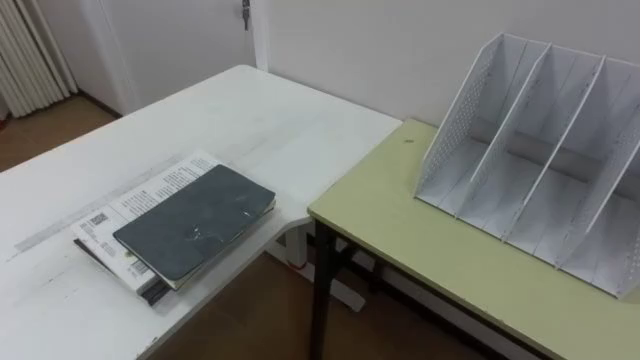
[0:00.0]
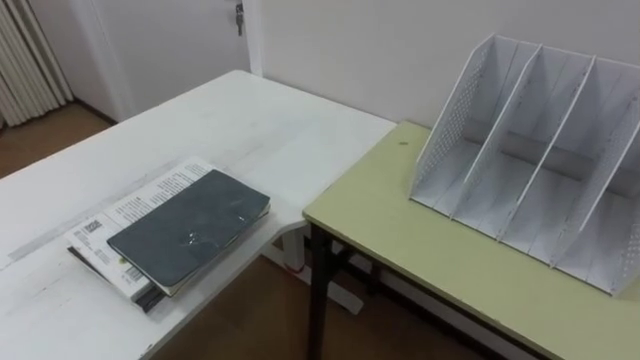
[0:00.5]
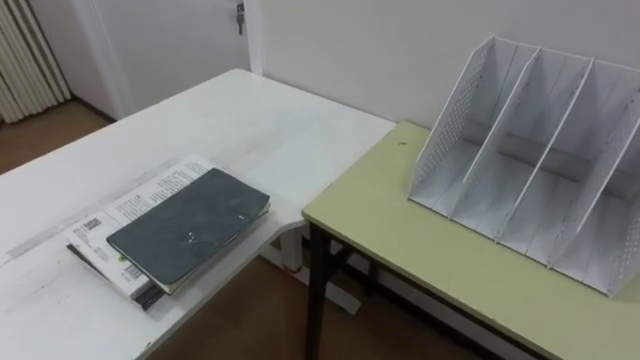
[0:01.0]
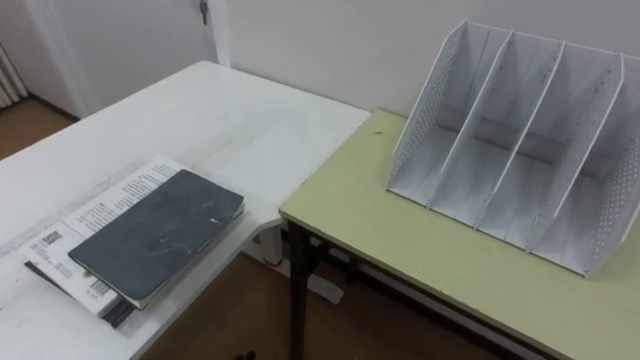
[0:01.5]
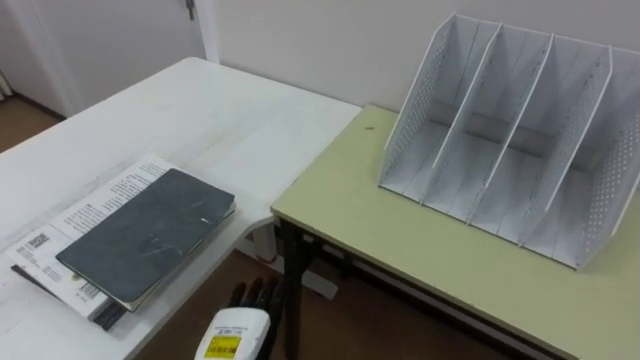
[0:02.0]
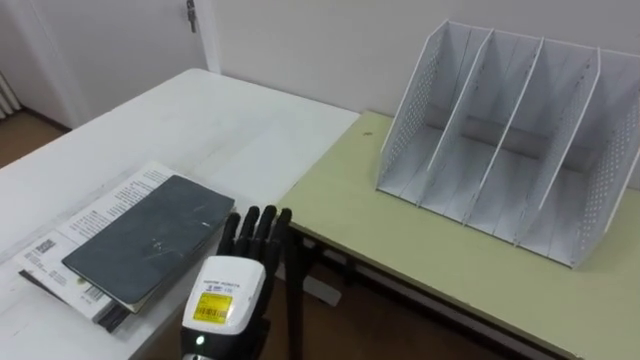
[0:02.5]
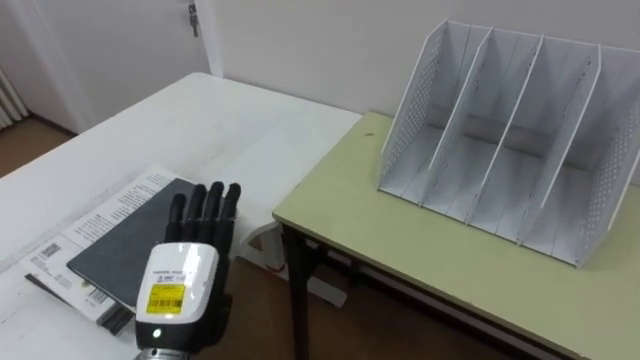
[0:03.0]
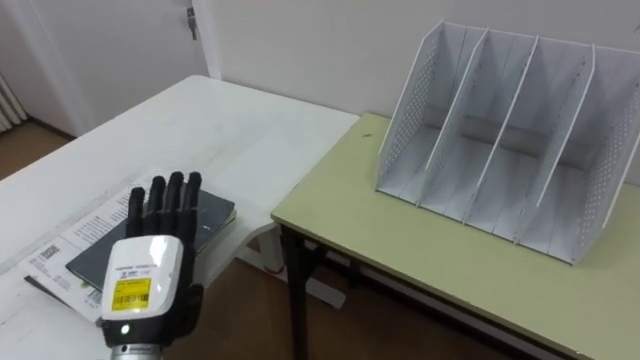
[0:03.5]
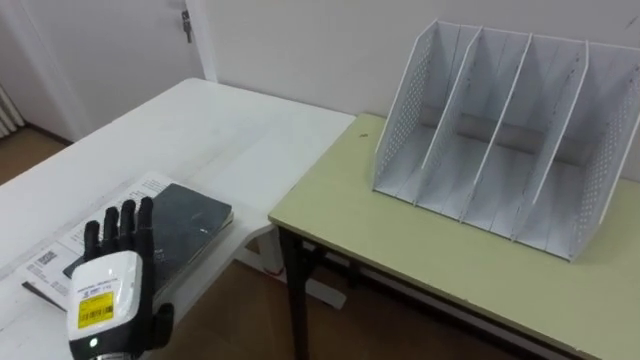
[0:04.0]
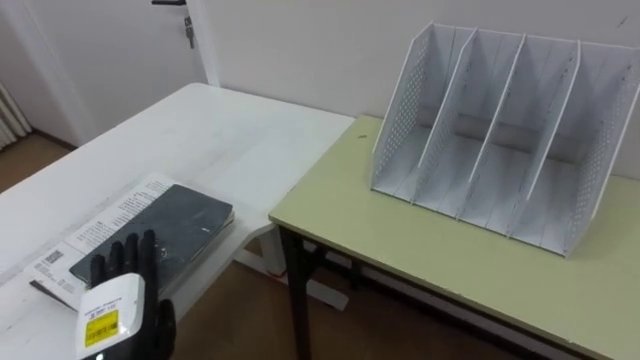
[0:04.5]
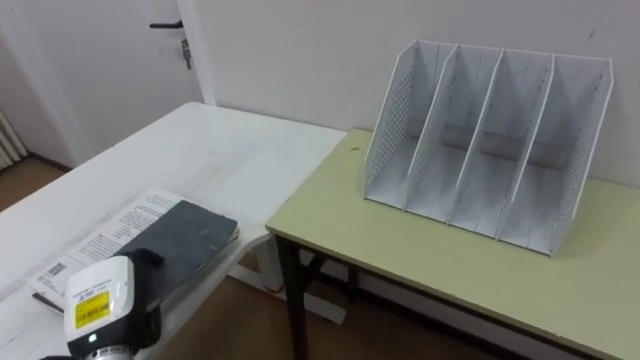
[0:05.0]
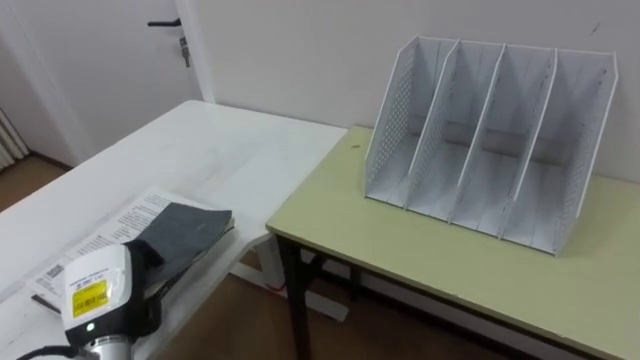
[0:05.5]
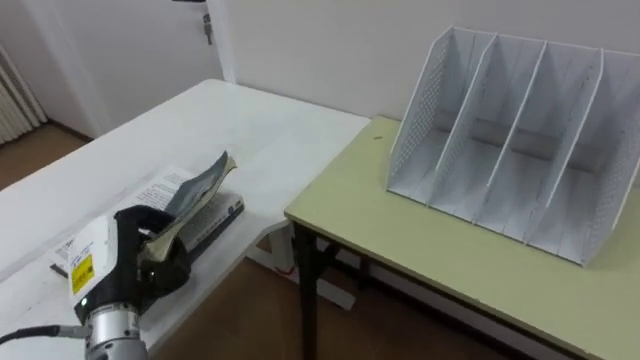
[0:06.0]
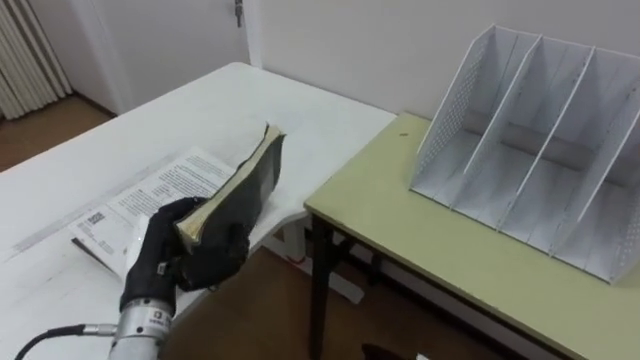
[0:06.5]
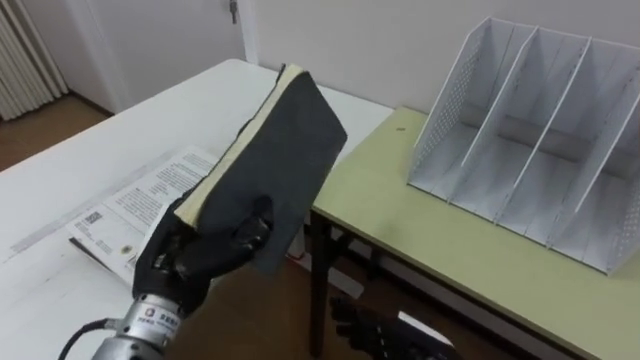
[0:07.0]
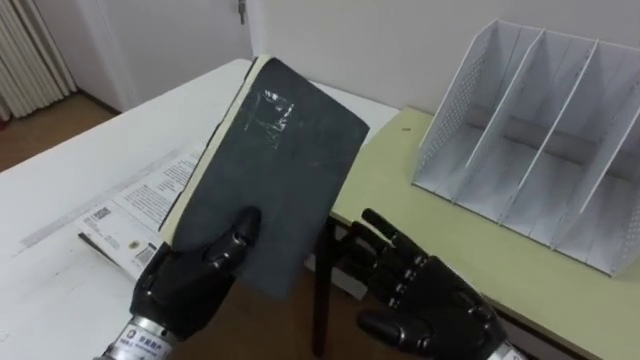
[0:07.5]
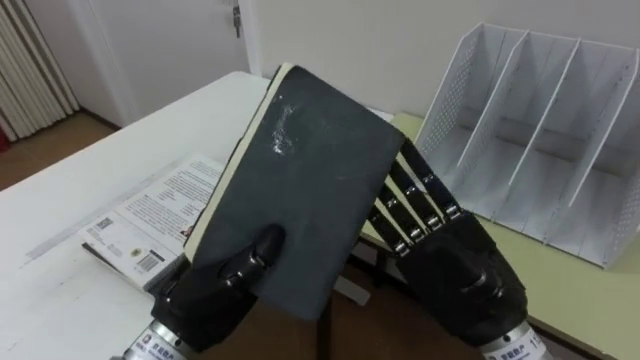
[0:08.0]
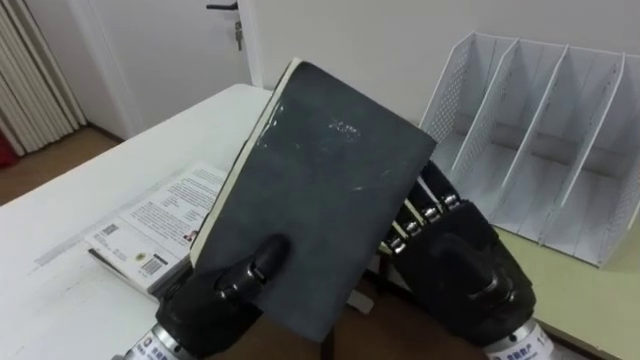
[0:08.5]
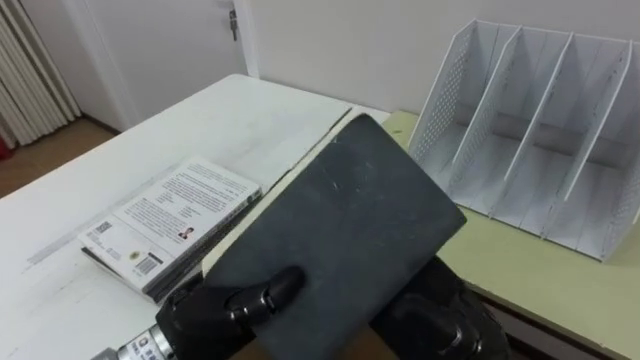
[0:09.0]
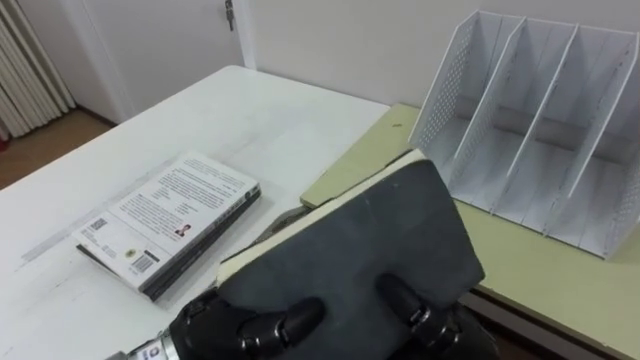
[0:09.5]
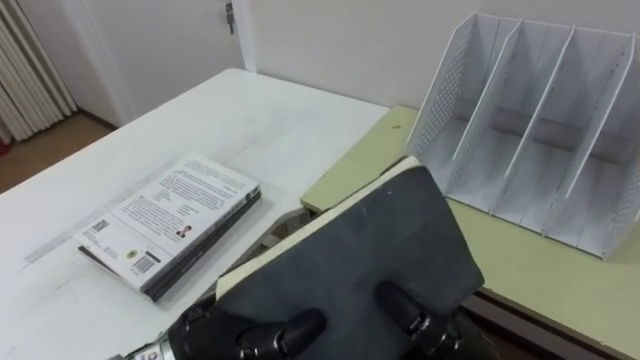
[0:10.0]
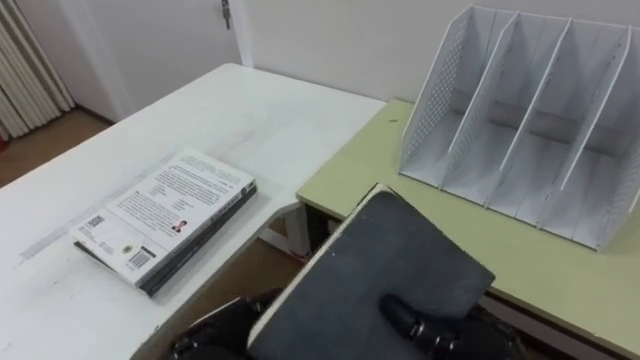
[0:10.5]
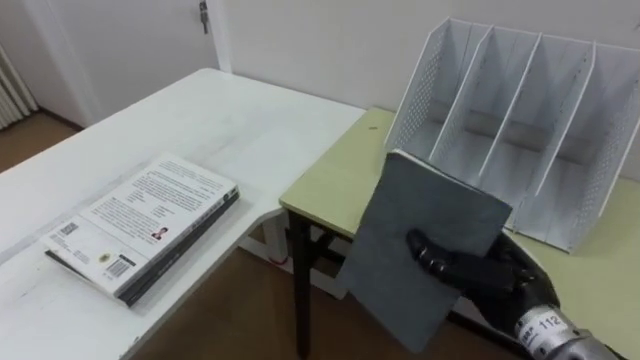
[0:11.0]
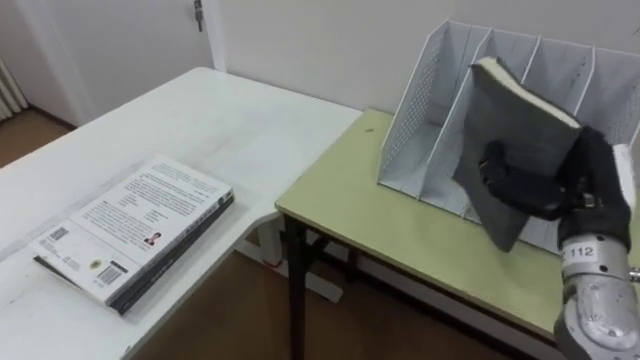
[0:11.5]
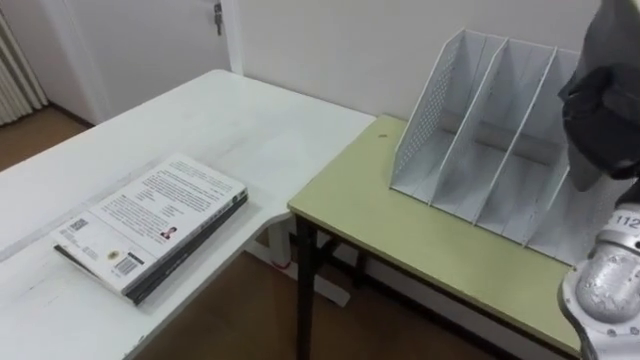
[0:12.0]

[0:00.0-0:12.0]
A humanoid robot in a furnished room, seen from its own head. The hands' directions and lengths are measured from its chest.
Task of the whole recording: Put the books on the table onto the bookshelf.
0:02.0 to 0:04.0: The left hand shifts approximately 15 cm to the left and upward.
0:04.0 to 0:06.0: The left hand closes up.
0:06.0 to 0:08.0: The left hand moves to the right, about 10 cm.
0:08.0 to 0:10.0: The right hand shifts by approximately 5 cm, and closes up; the left hand shifts by roughly 5 cm.

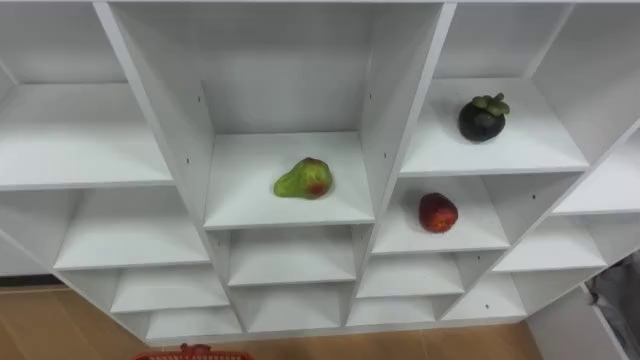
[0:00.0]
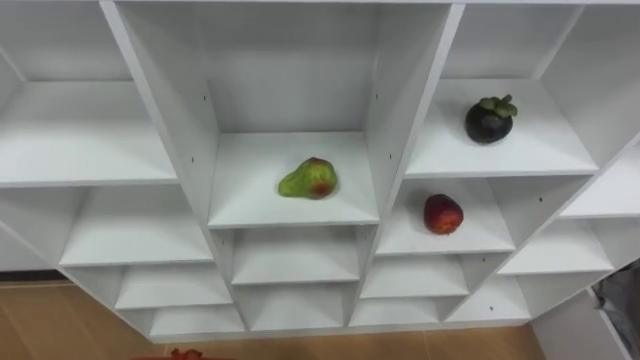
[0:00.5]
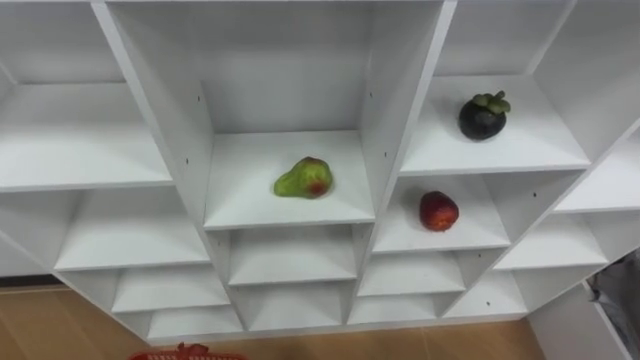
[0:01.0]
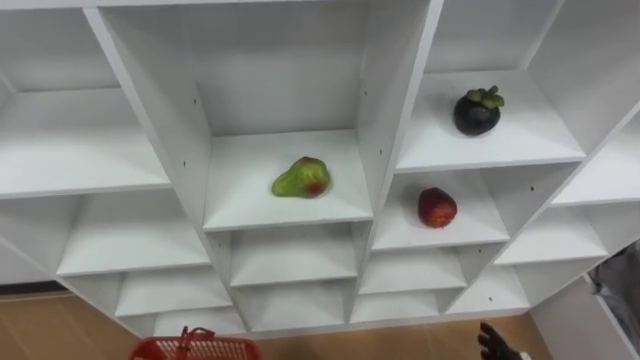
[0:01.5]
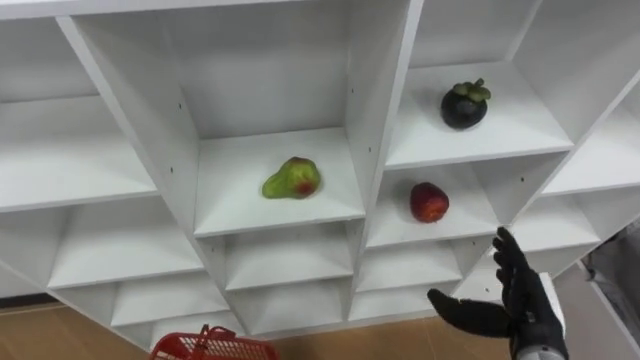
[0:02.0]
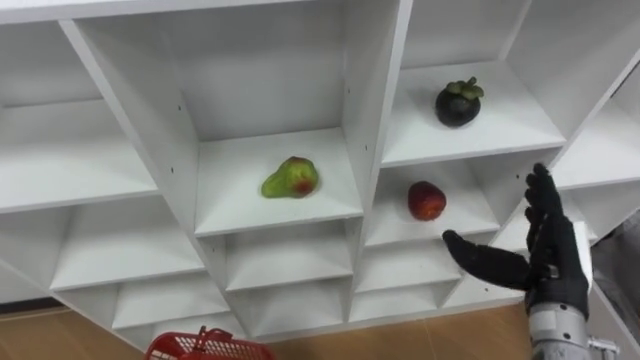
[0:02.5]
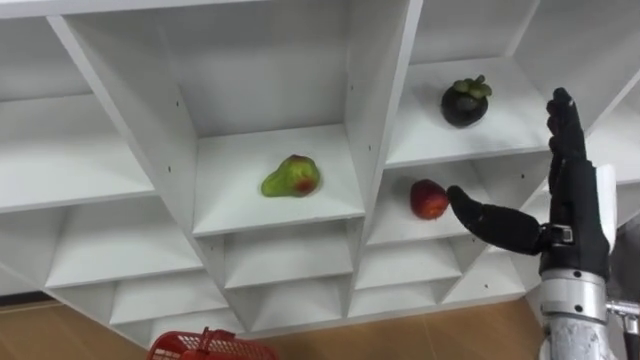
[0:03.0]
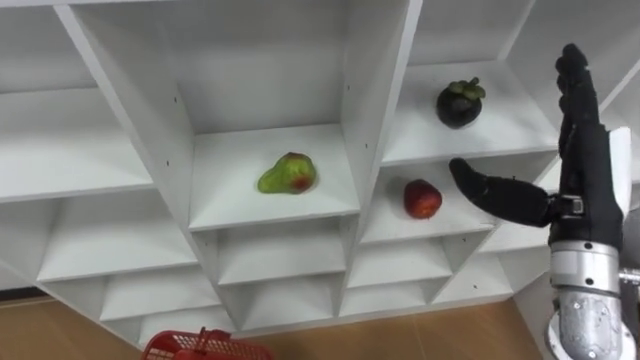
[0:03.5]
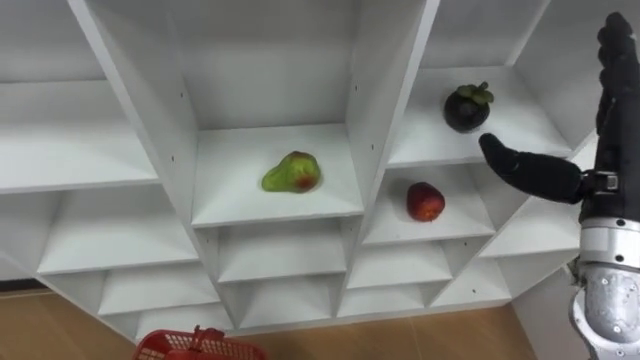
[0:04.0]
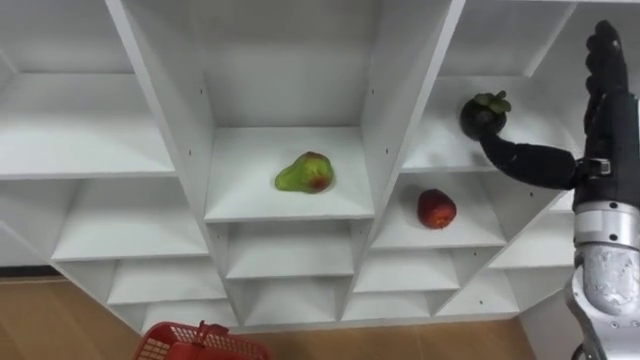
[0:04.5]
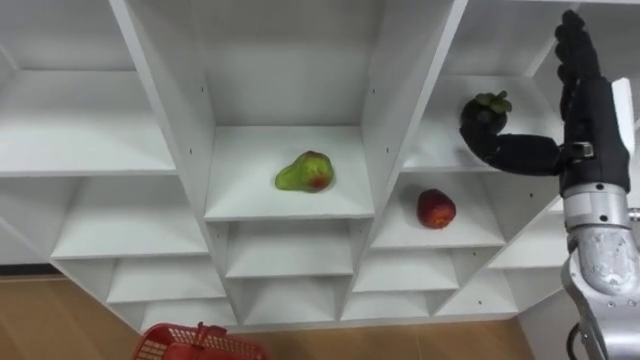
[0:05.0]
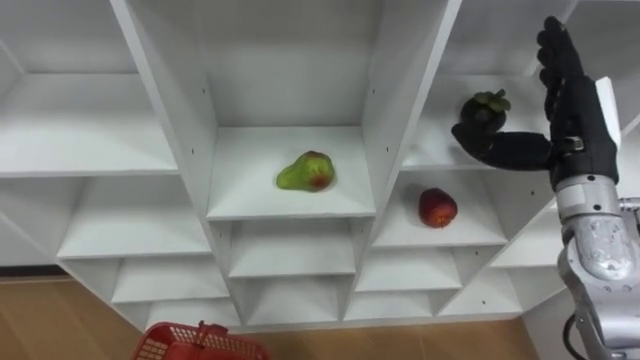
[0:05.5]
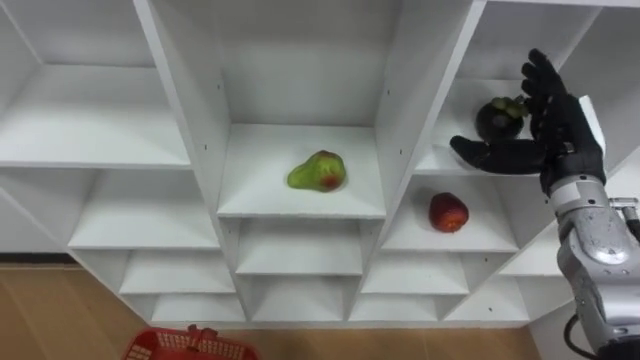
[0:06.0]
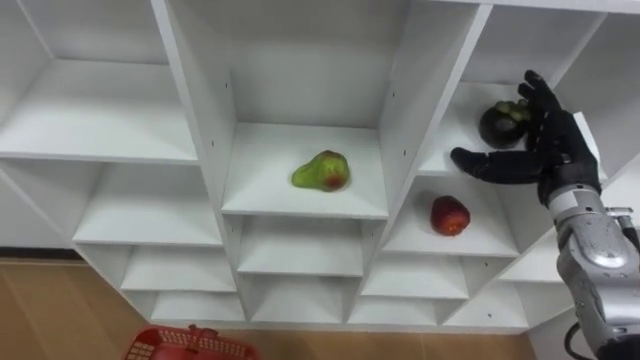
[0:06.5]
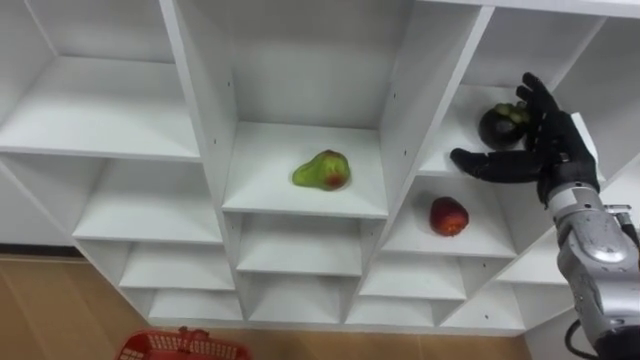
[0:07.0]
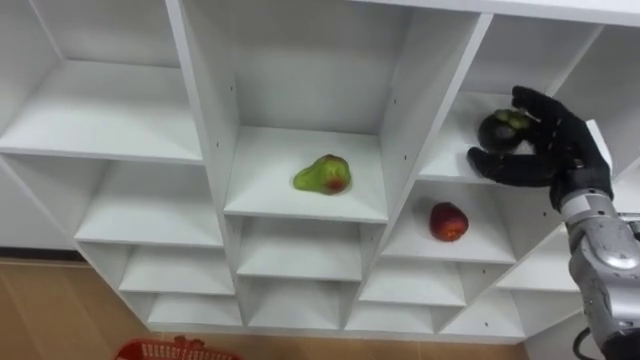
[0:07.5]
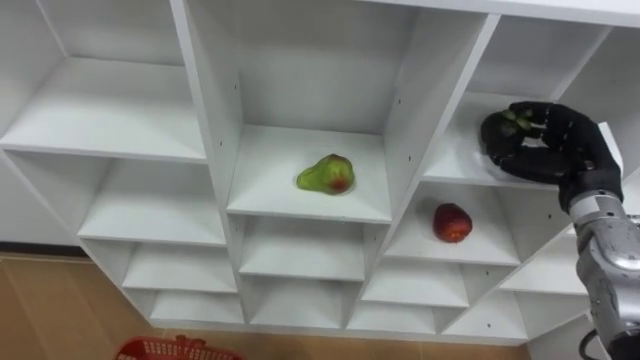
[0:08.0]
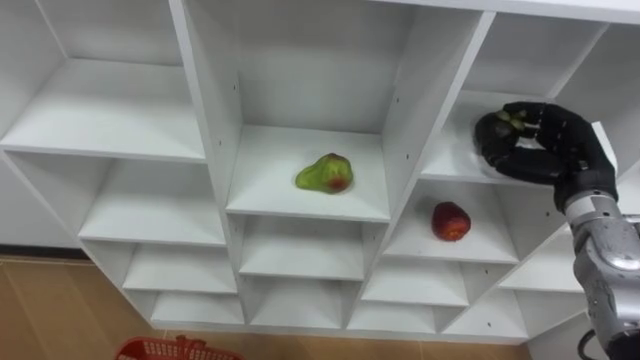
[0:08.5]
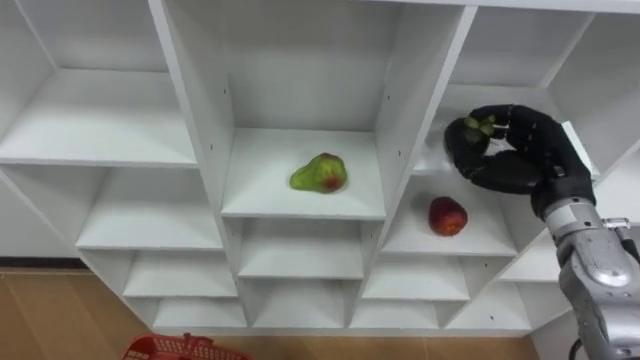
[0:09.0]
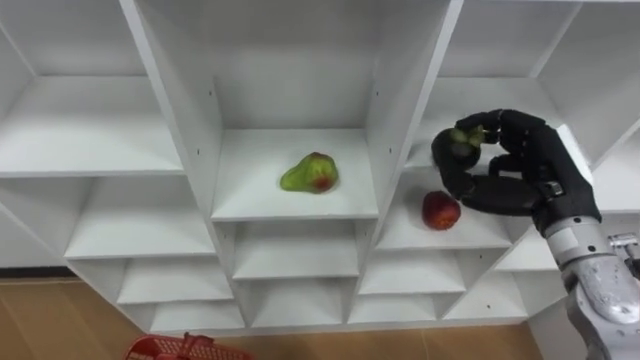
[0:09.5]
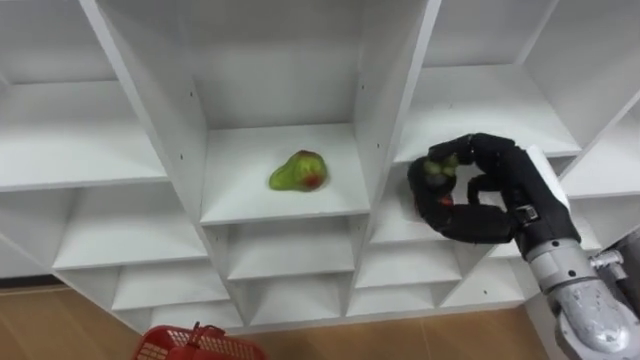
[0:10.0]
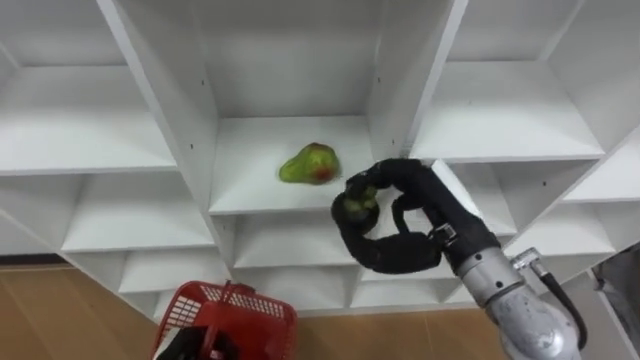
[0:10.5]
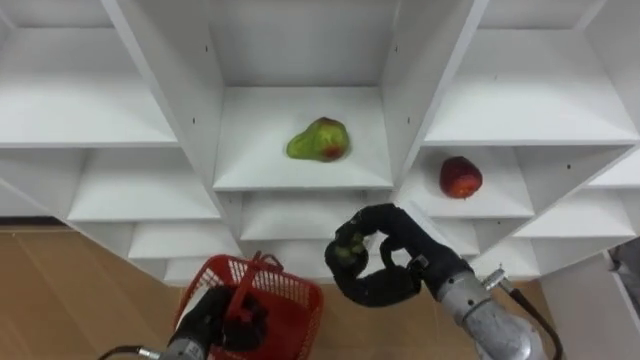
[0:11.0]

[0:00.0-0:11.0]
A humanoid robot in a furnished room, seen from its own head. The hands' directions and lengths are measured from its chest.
Task of the whole recording: Hold the basket and collect the fruits from 3 different cells of the closet into it.
0:02.0 to 0:03.5: The right hand shifts approximately 20 cm upward.
0:03.5 to 0:05.5: The right hand shifts about 5 cm forward.
0:05.5 to 0:07.5: The right hand heads downward, covering roughly 10 cm.
0:07.5 to 0:09.0: The right hand closes up.
0:09.0 to 0:11.0: The right hand goes about 15 cm to the left and backward.
